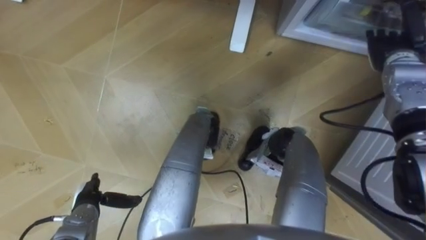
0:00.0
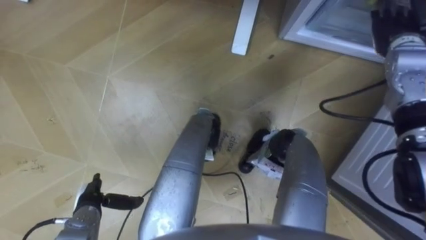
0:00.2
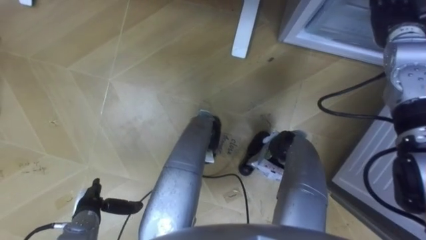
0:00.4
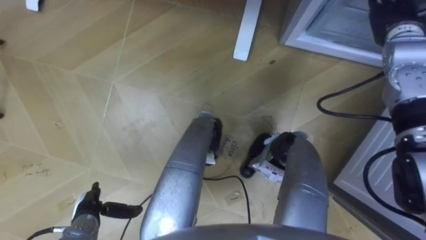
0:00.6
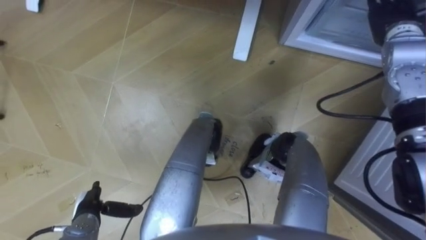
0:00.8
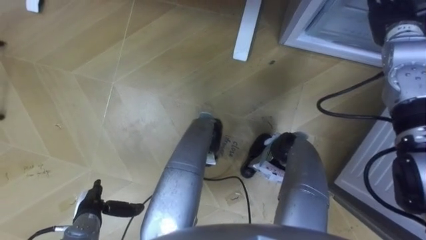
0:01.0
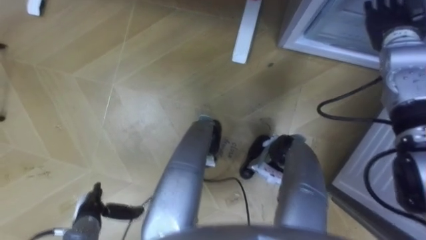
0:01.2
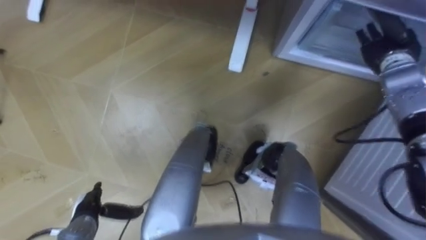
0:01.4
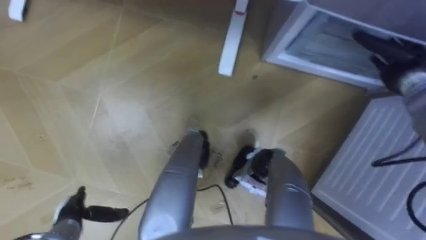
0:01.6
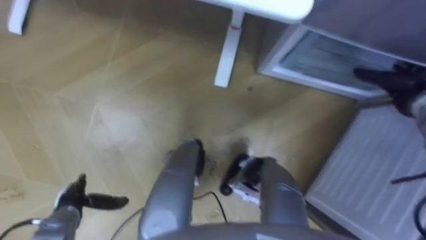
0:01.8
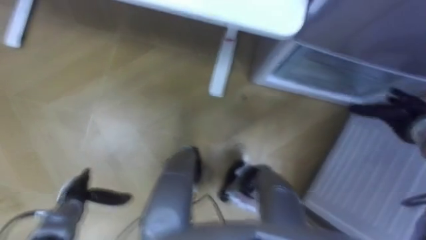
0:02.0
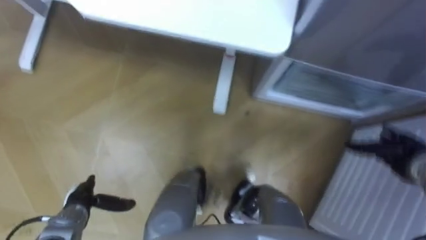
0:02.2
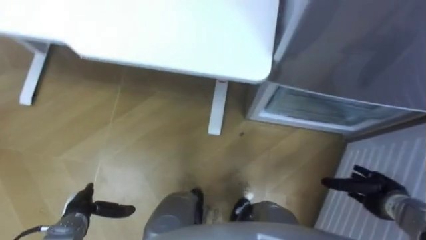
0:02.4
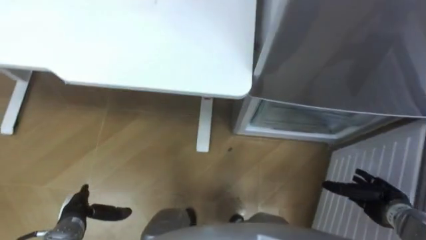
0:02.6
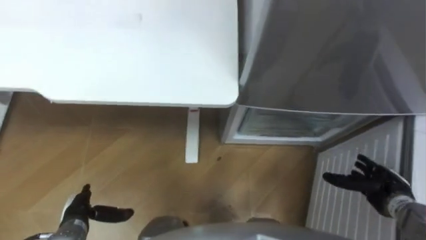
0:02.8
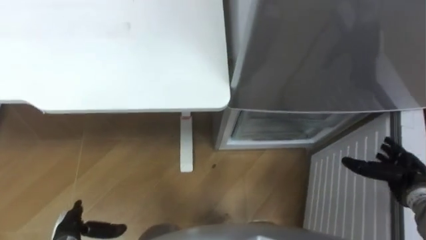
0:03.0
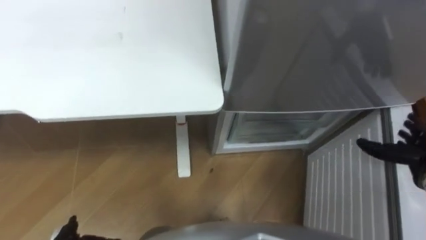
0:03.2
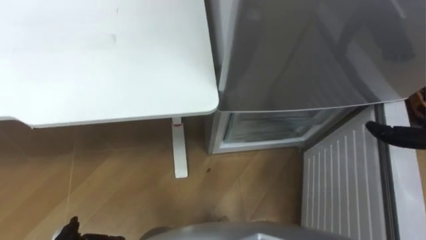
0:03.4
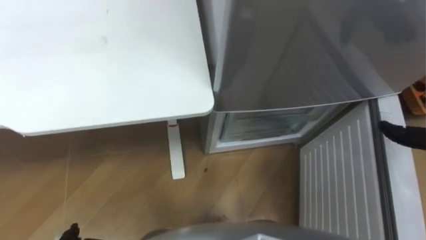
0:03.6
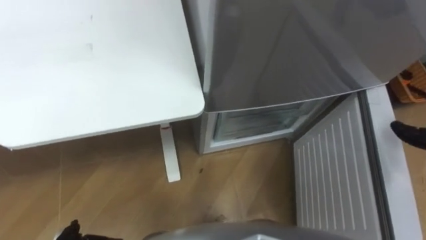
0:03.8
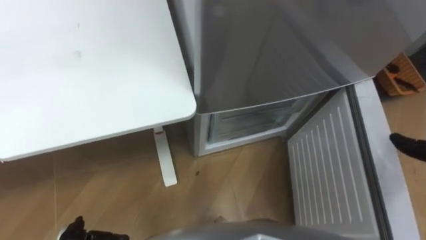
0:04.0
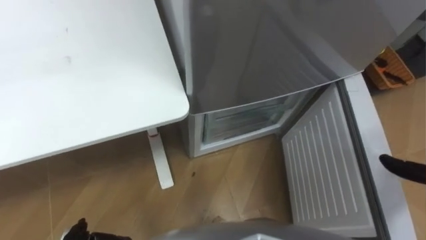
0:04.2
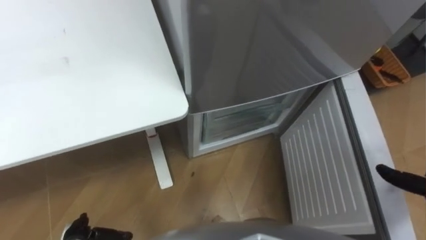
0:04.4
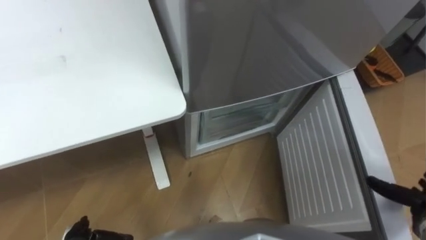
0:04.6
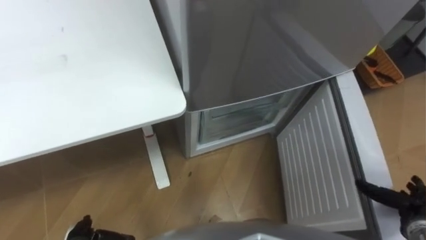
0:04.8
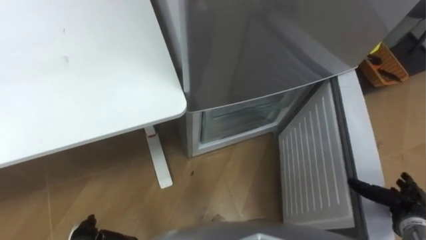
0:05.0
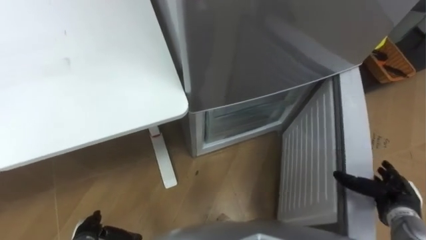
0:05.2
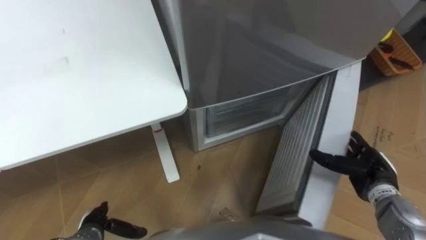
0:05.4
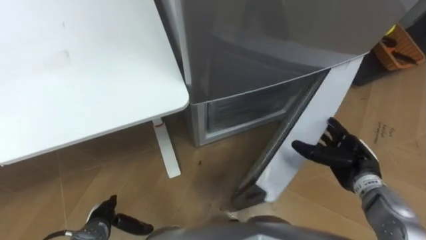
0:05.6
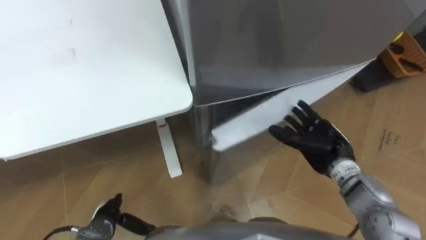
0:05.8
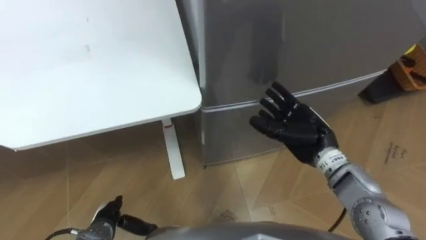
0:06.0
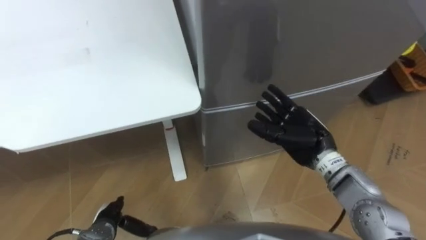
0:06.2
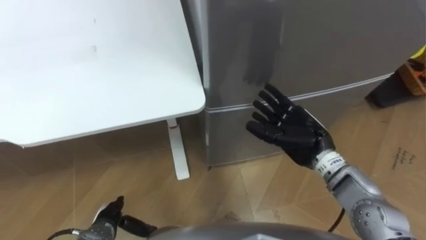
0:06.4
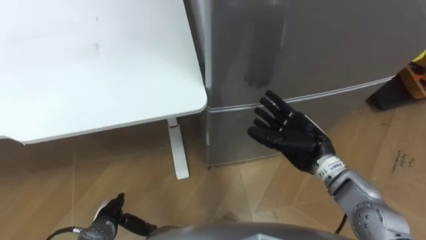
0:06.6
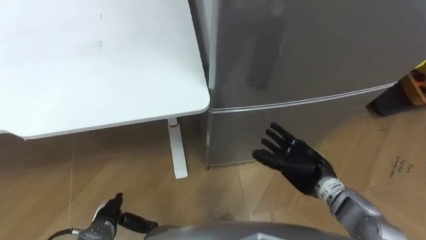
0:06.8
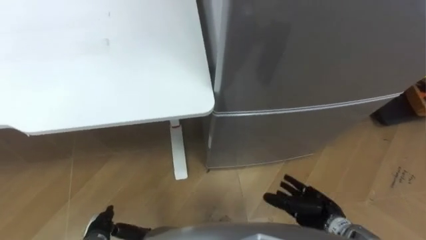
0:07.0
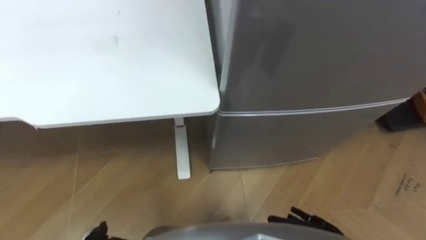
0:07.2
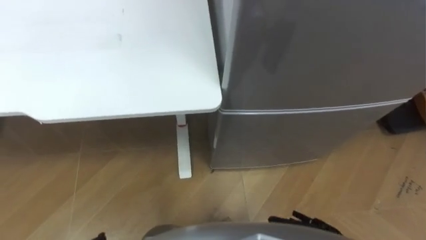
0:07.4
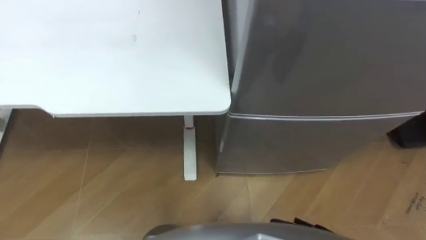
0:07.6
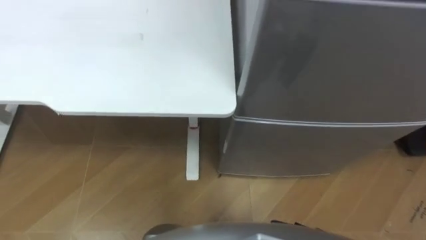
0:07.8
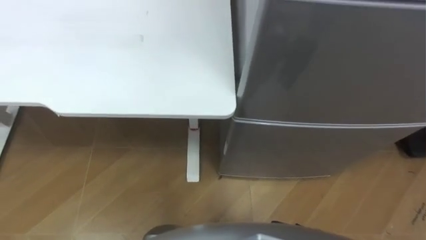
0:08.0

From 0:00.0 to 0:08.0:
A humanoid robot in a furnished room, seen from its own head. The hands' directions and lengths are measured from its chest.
Task of the whole recording: Place the drink on the table on the bottom shelf of the refrigerator, then close the drawer and the refrigerator door.
From 0:00.0 to 0:01.6: The right hand travels upward and back again, roughly 5 cm each way.
From 0:01.6 to 0:03.2: The right hand moves backward, about 20 cm.
From 0:04.8 to 0:06.4: The right hand is displaced to the left, forward and upward by roughly 30 cm.

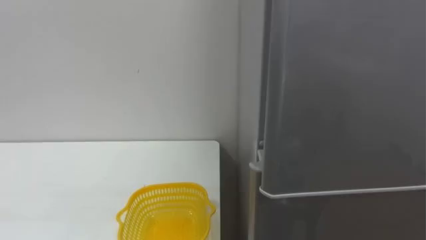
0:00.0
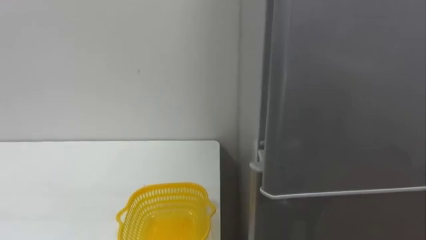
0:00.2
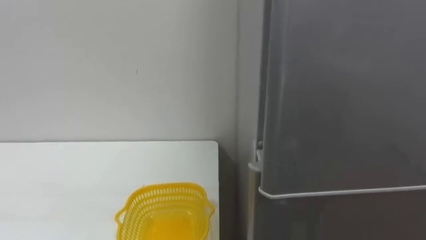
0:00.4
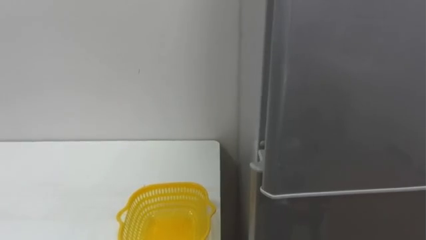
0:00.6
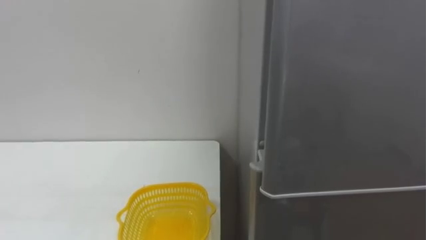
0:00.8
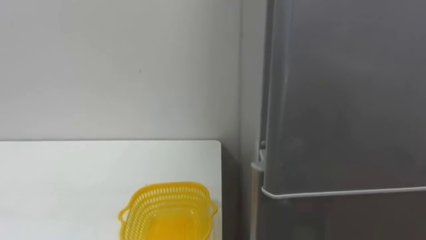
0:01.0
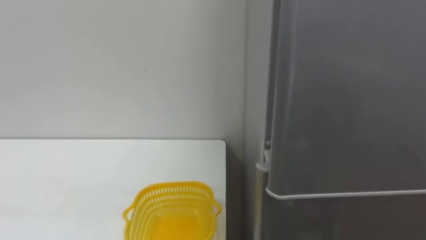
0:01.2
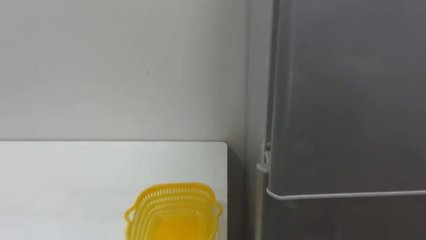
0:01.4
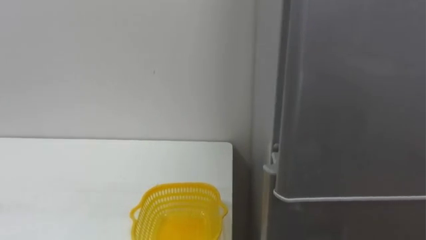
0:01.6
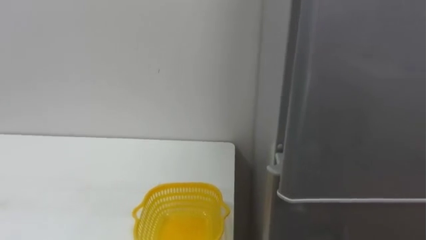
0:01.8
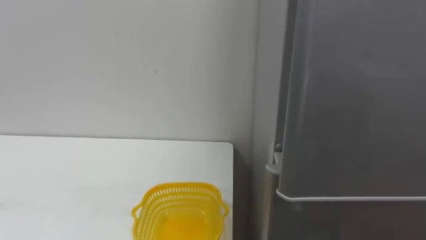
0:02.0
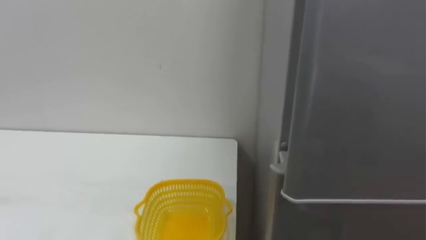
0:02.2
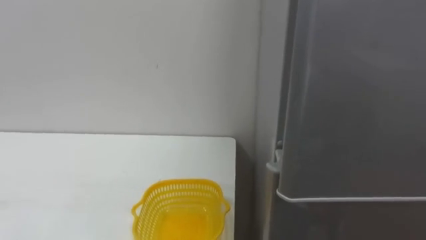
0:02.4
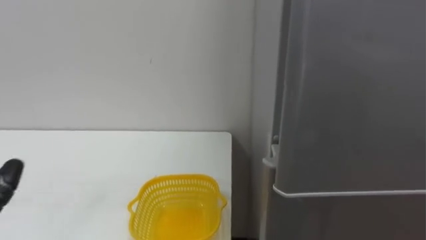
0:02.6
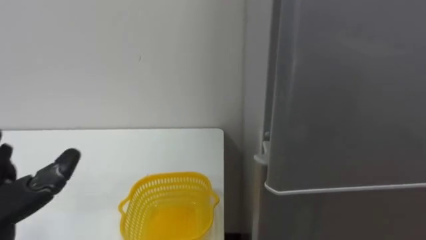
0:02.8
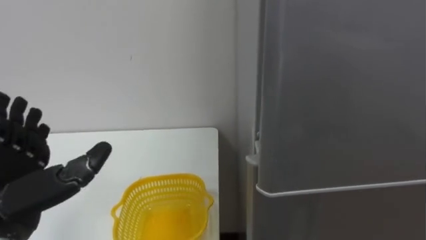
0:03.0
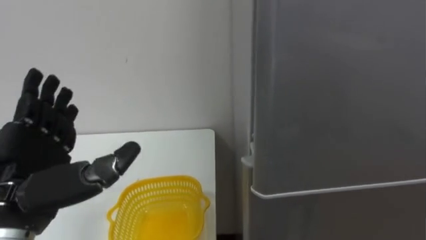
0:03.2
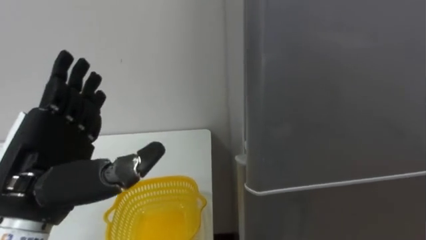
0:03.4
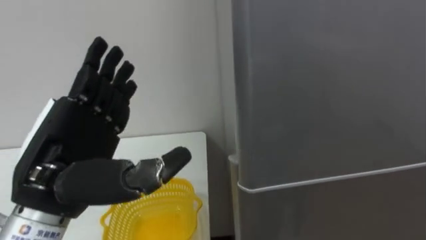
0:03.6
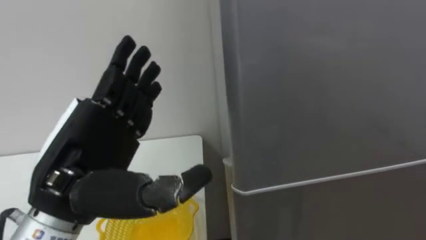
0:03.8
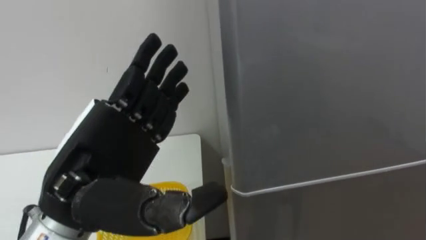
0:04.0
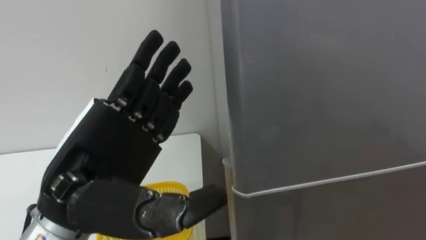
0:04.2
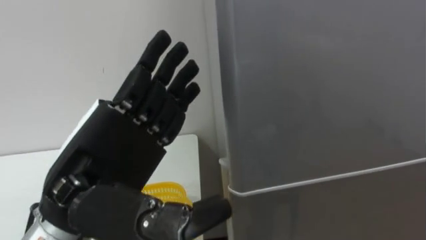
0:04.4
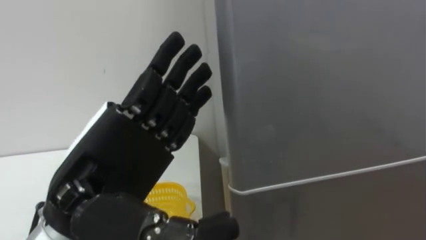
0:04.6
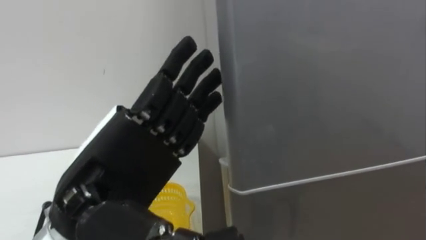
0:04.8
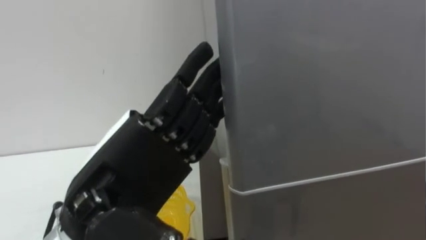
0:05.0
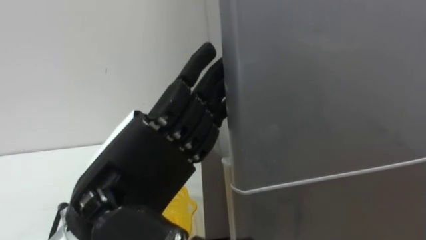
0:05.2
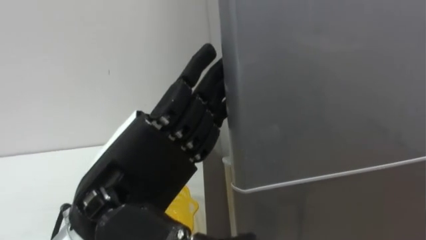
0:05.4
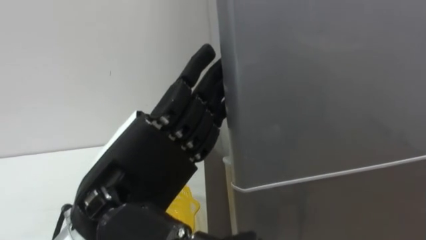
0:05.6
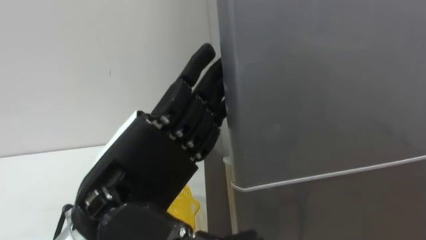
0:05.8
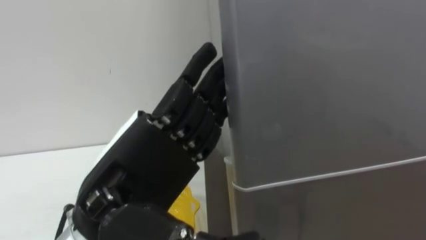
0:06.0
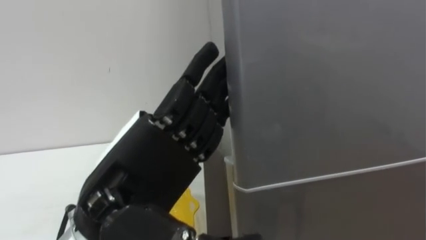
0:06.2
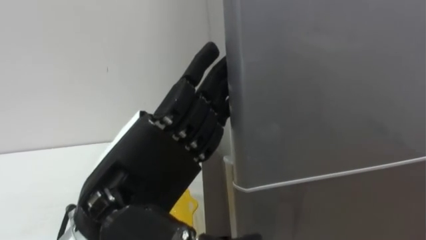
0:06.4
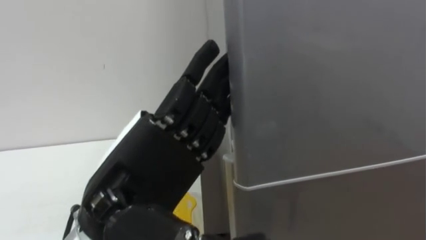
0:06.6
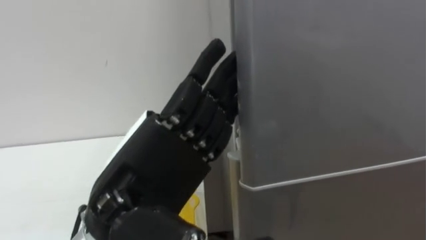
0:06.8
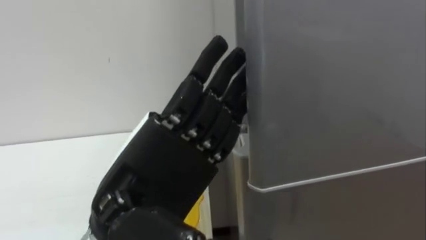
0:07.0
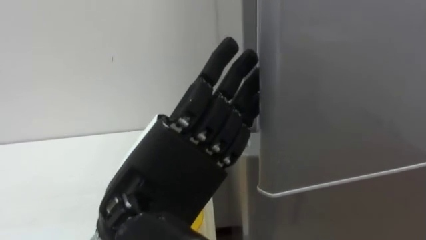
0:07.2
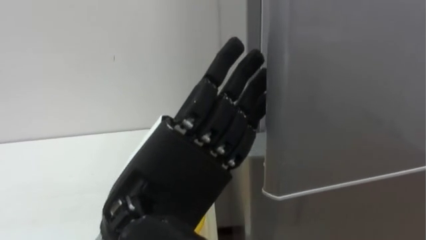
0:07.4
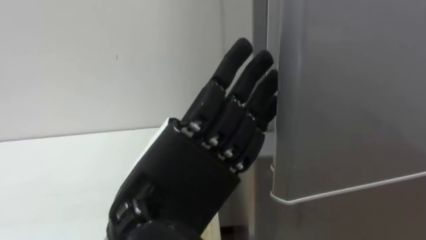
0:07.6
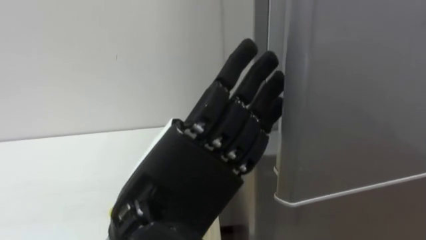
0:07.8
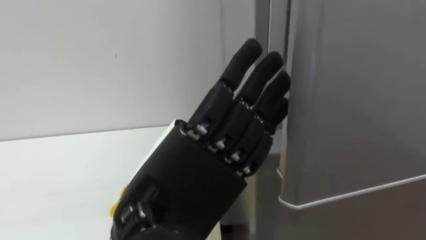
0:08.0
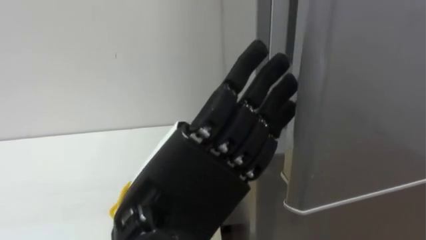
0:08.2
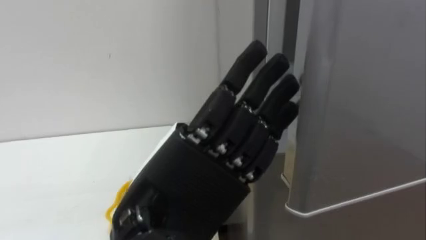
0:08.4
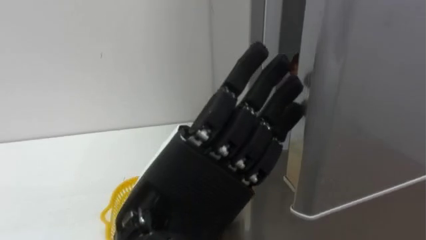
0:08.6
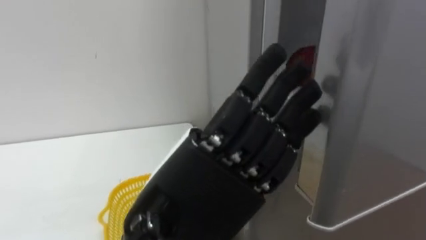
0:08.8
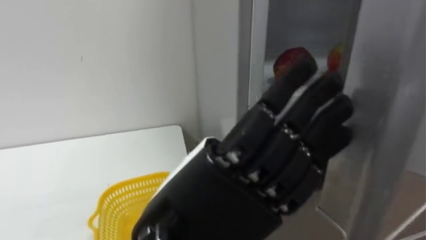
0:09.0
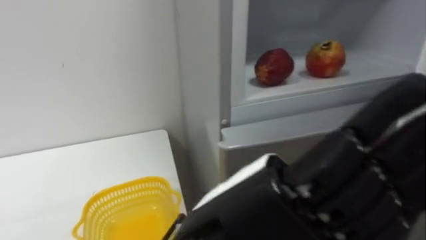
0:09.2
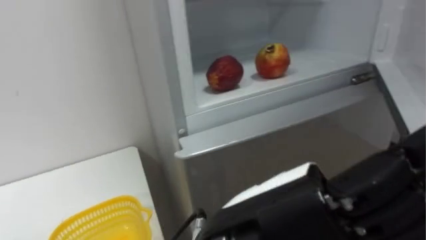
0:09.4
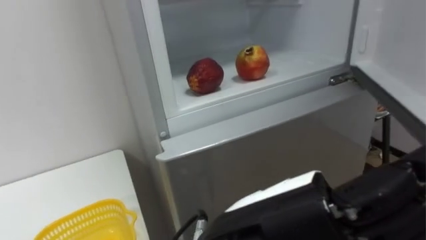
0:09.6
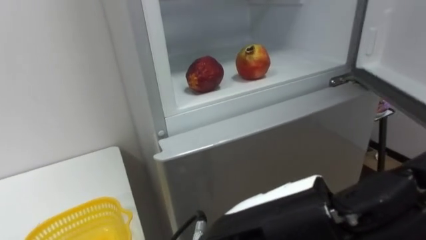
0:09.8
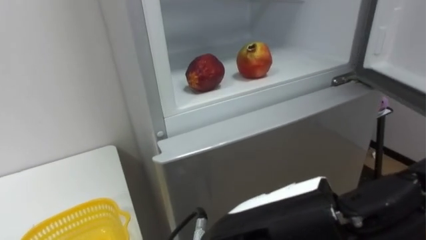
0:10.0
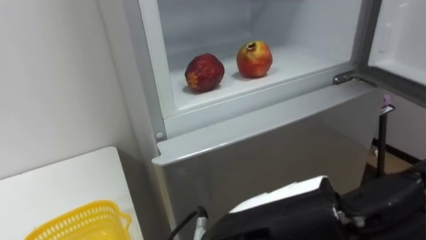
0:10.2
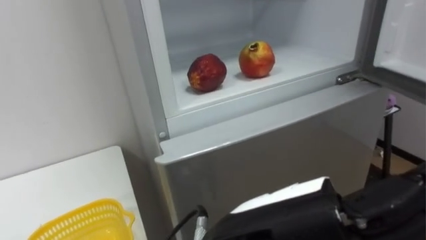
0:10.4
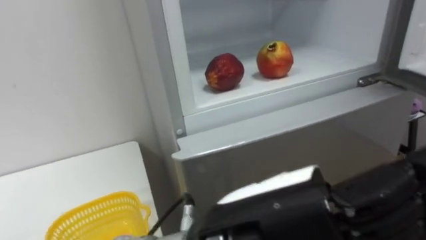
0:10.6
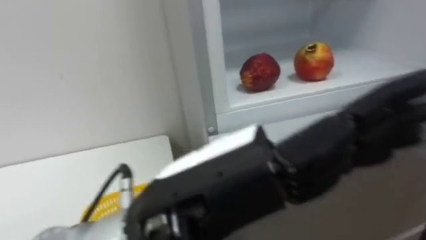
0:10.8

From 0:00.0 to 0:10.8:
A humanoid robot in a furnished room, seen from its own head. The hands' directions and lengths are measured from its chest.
Task of the whole recording: Open the refrigerator door, take out the apple and the pomegranate, place them in the fruit basket on the left, and close the refrigerator door.
From 0:07.8 to 0:09.2: The left hand ends up approximately 5 cm from where it was.
